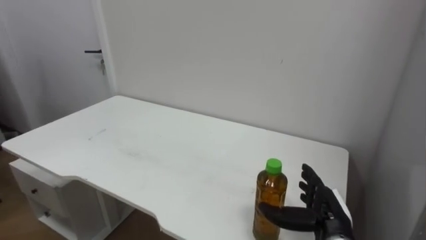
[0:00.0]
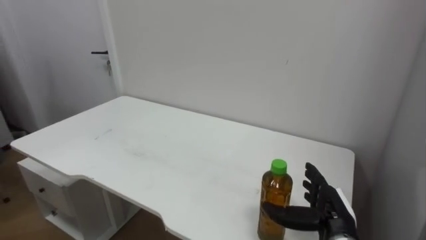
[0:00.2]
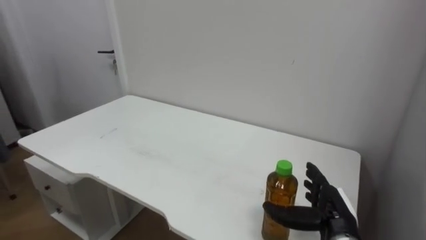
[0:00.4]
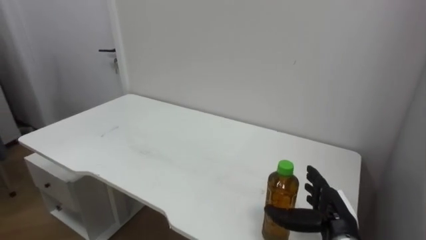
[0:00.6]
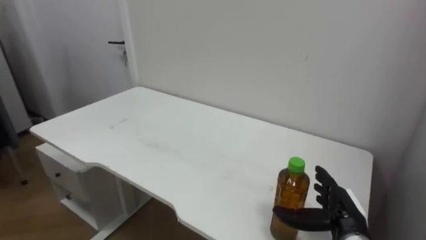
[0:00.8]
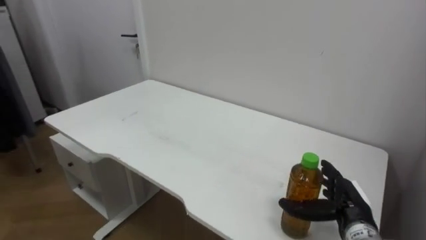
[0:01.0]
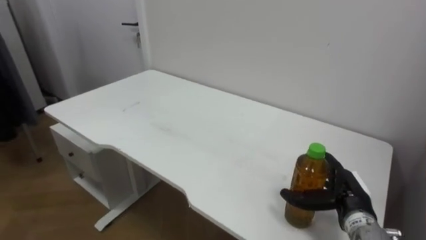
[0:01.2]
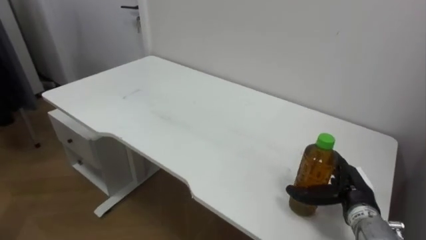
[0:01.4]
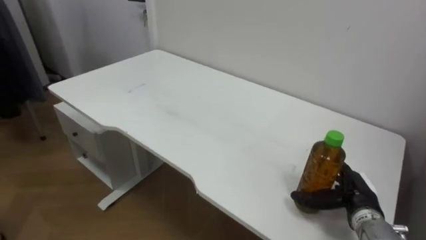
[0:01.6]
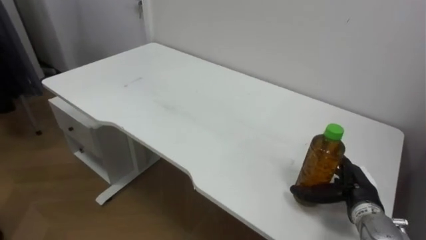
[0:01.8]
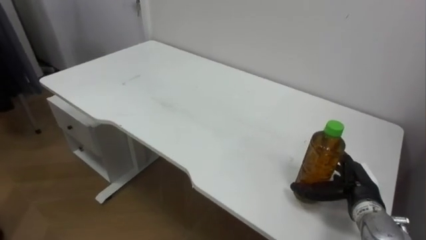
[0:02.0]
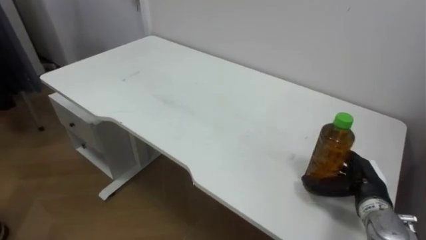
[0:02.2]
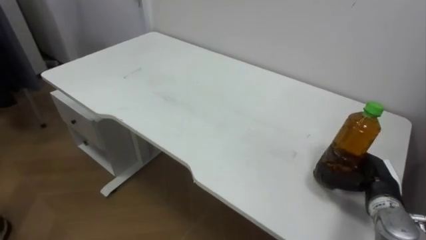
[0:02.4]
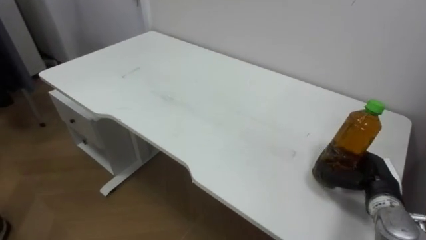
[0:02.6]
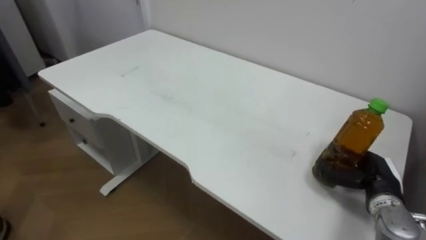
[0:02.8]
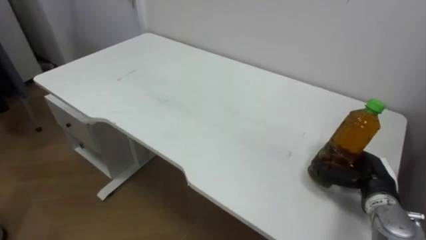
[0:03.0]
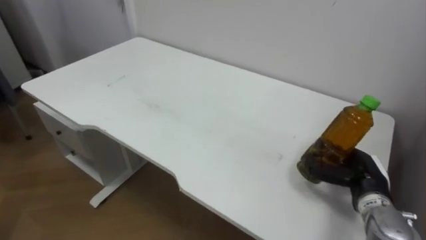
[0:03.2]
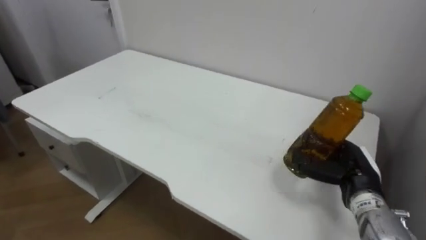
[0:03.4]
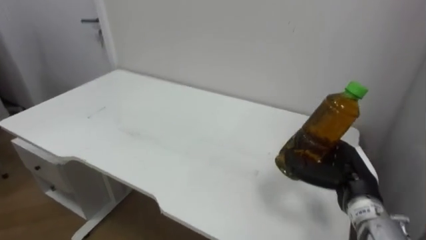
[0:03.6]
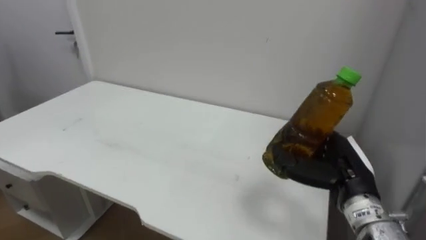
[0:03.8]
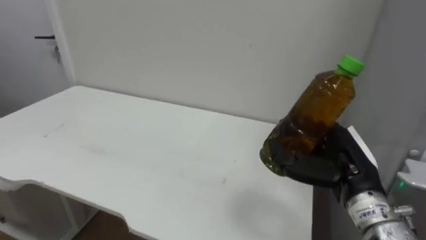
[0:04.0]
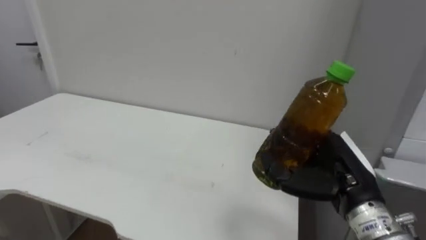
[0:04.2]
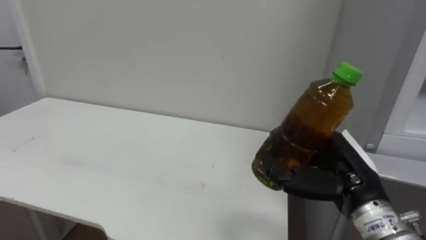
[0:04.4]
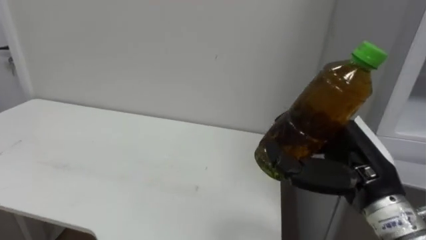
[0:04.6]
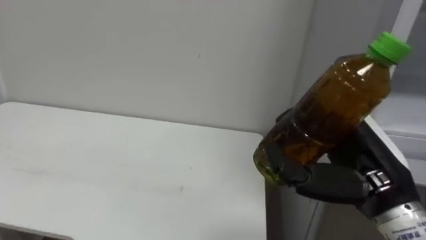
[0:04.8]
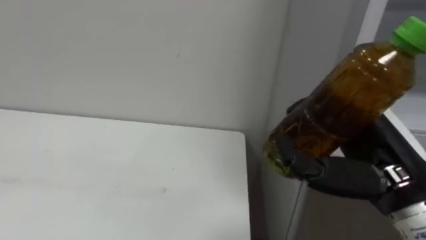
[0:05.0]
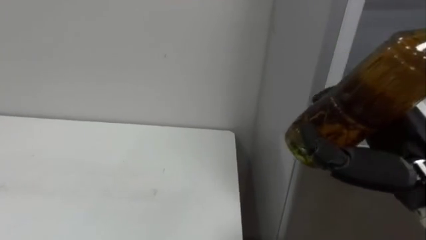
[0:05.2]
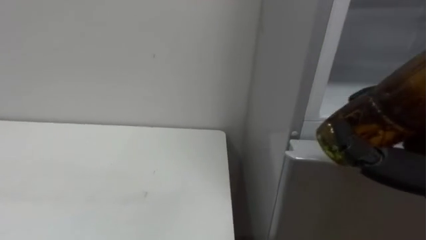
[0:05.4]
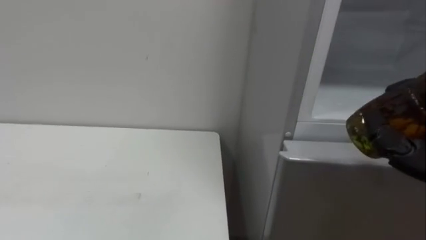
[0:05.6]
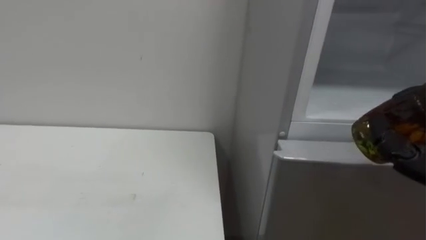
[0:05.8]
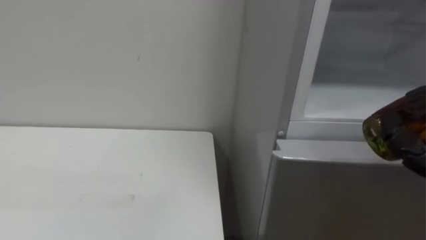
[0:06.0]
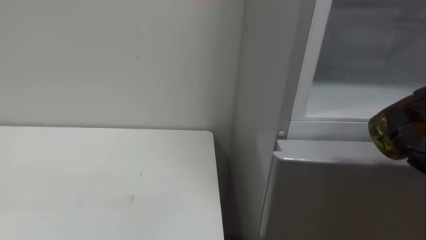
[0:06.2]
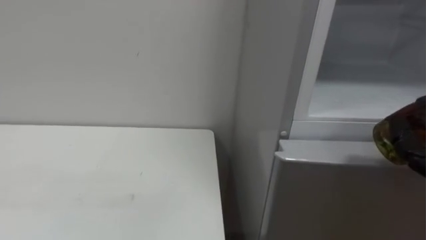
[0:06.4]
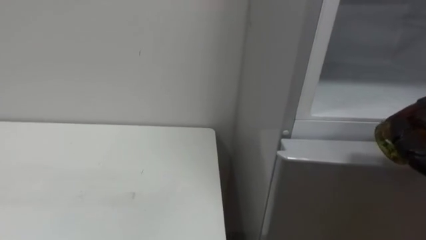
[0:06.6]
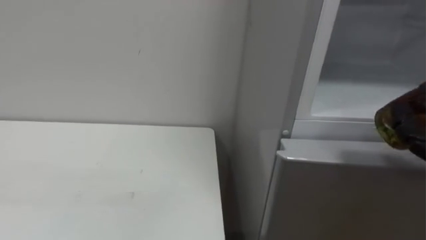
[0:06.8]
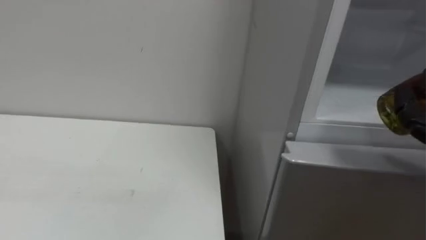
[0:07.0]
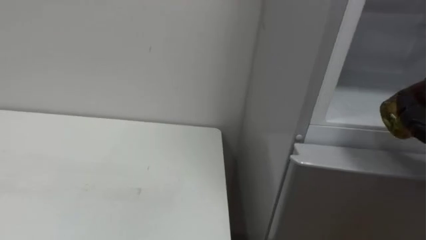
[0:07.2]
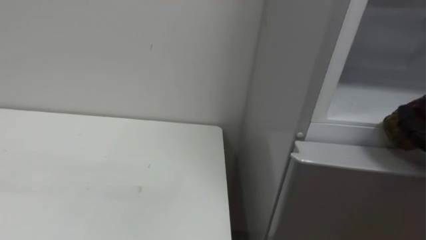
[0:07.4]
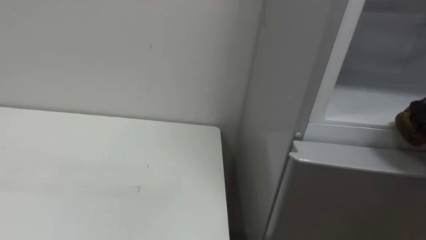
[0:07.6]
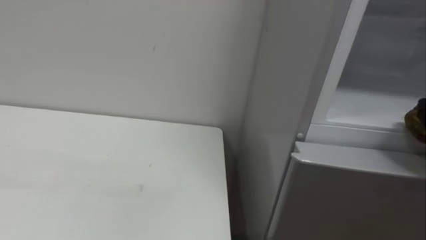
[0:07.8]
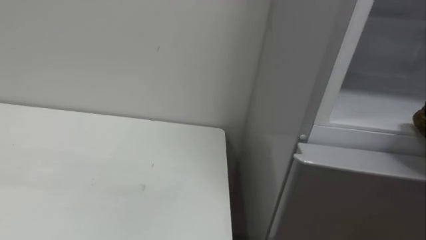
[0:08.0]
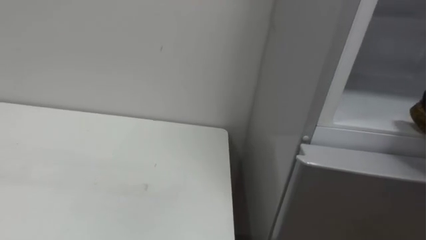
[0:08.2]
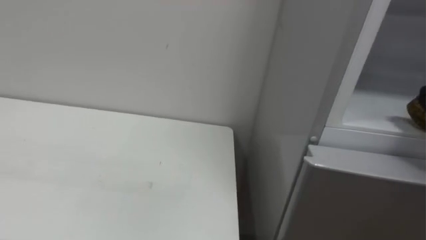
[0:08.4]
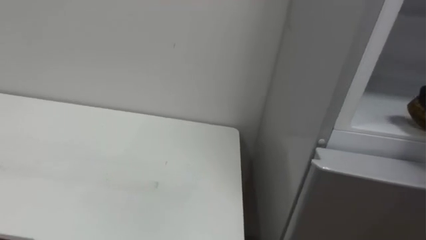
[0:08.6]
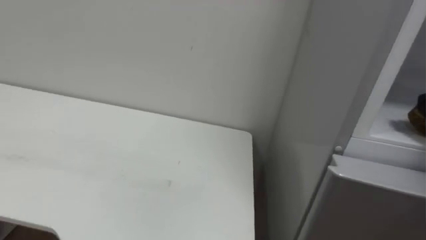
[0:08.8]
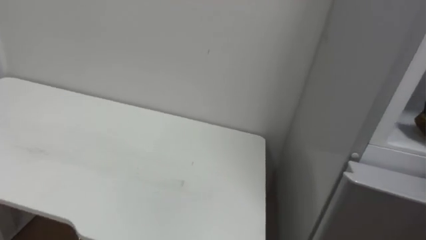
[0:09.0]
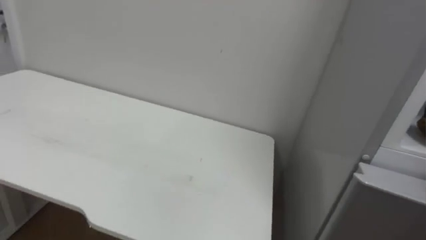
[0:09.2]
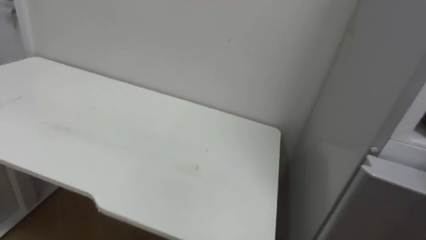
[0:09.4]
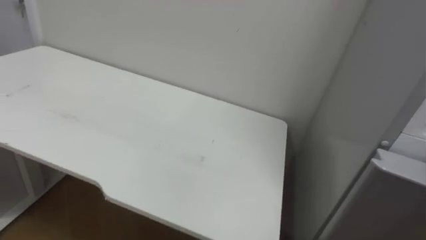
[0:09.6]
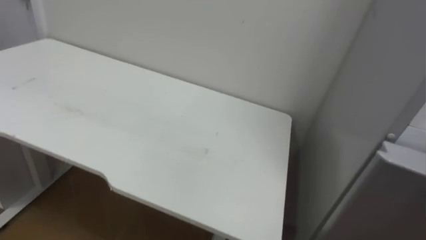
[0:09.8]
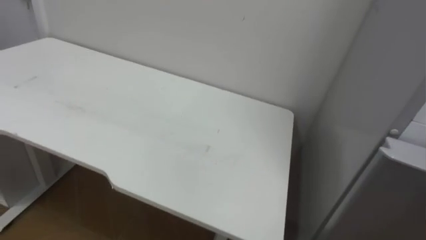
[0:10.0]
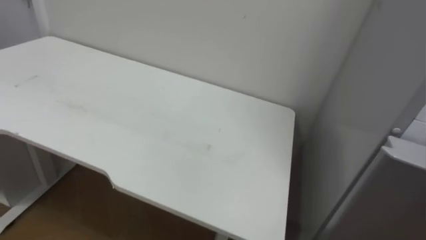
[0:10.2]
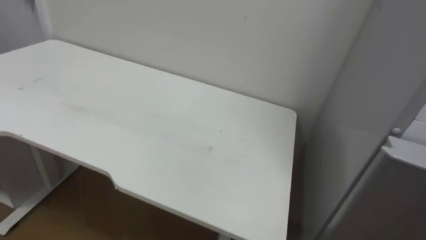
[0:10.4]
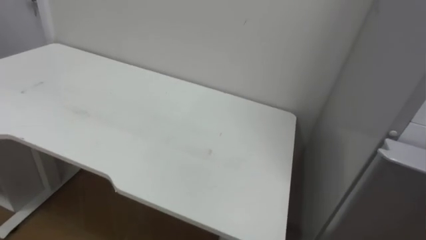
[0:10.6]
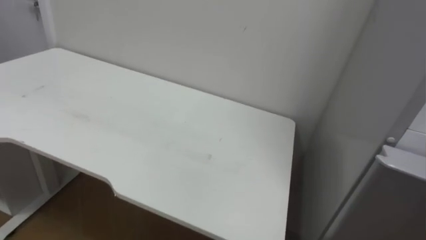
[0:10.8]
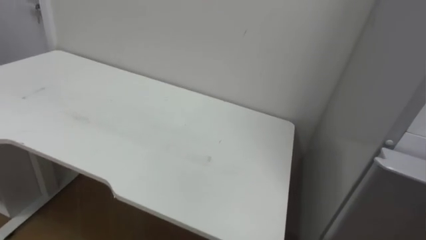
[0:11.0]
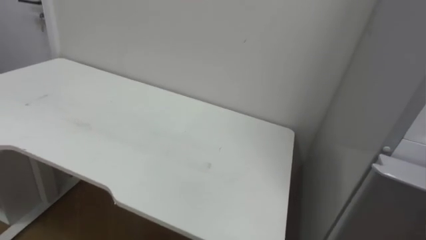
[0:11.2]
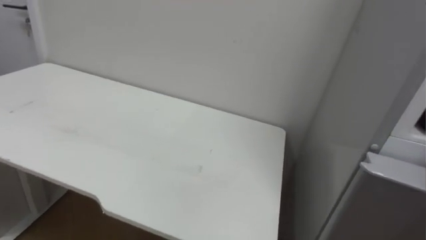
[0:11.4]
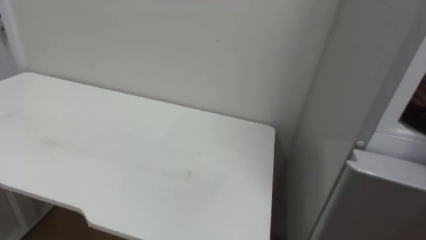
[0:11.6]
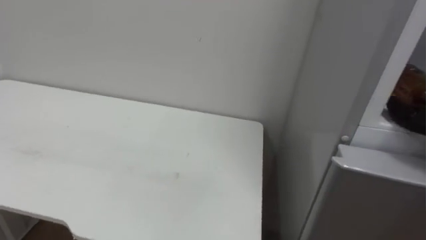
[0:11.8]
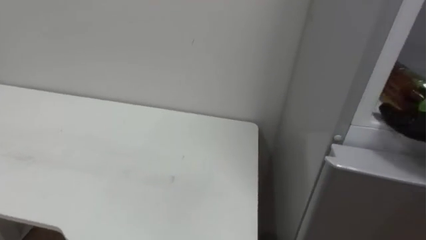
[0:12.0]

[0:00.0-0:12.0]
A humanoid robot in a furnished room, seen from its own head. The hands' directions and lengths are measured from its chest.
Task of the whole recording: Open the upper refrigerator door, put the drink from the table into the refrigerator, and then close the refrigerator door.
0:00.0 to 0:01.6: The right hand travels to the right by roughly 5 cm.
0:01.6 to 0:03.0: The right hand closes up.
0:03.0 to 0:04.4: The right hand shifts some 15 cm upward, to the left and backward.

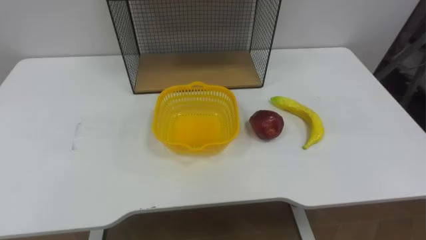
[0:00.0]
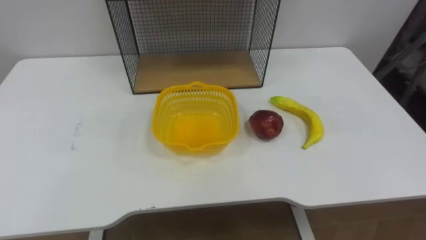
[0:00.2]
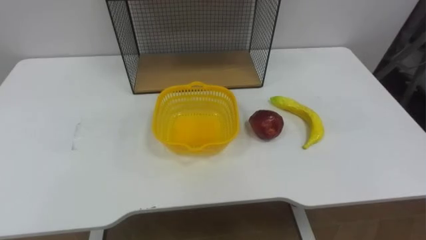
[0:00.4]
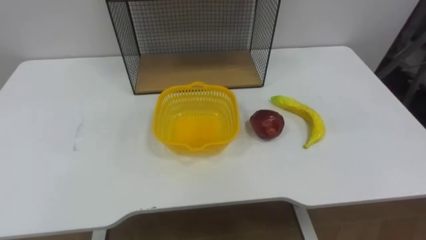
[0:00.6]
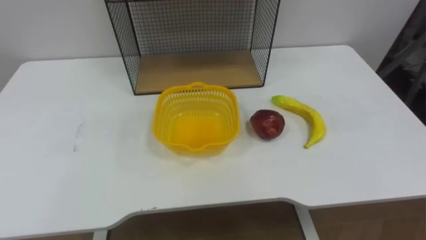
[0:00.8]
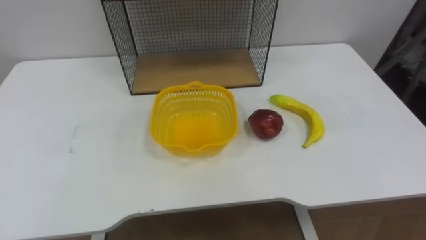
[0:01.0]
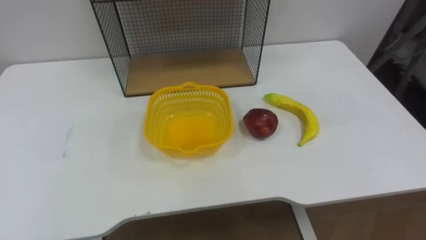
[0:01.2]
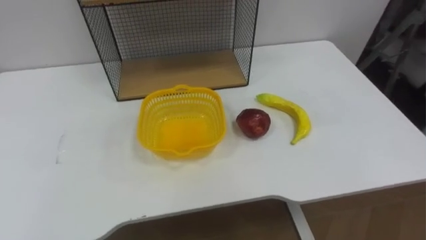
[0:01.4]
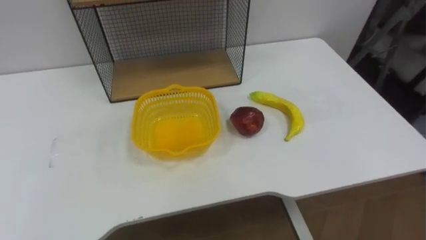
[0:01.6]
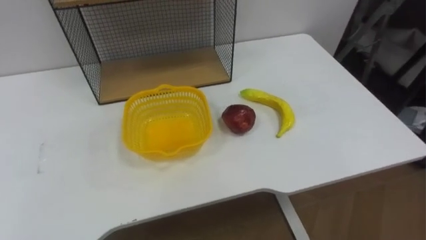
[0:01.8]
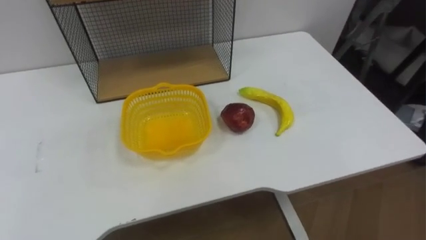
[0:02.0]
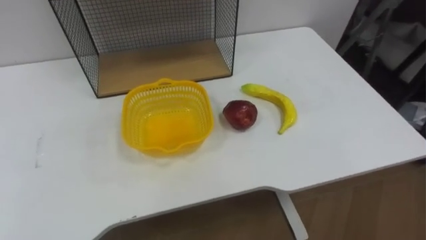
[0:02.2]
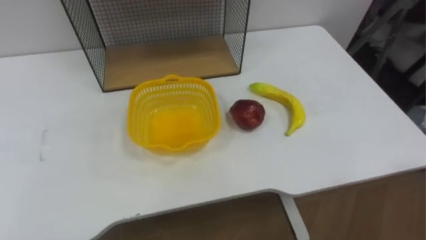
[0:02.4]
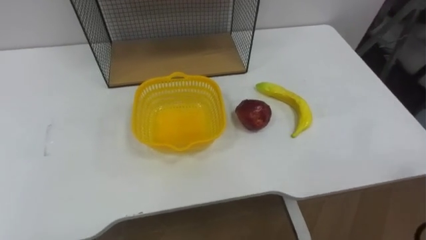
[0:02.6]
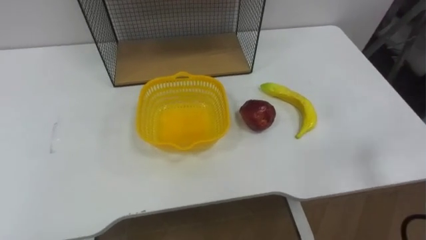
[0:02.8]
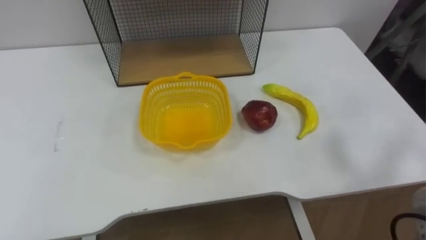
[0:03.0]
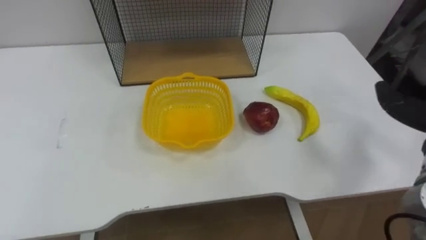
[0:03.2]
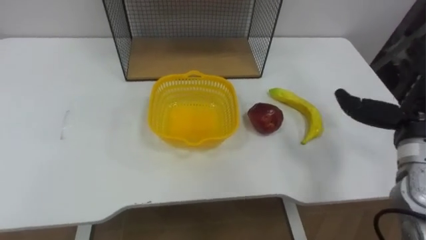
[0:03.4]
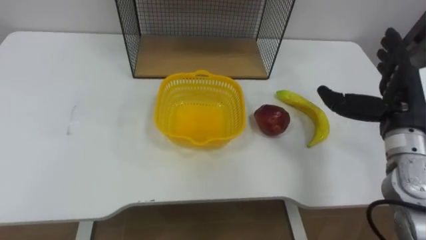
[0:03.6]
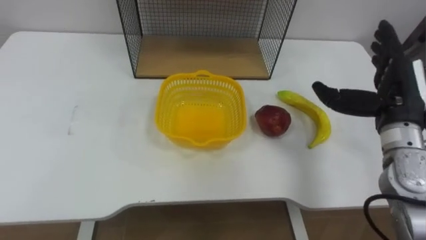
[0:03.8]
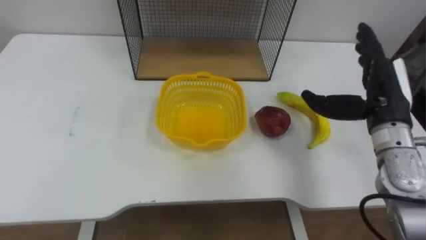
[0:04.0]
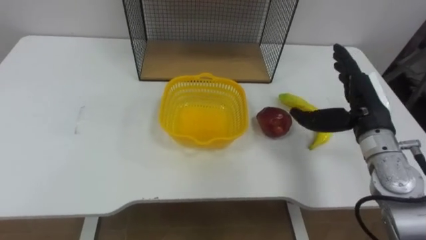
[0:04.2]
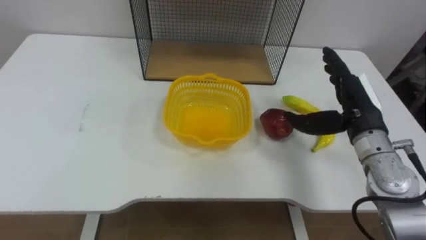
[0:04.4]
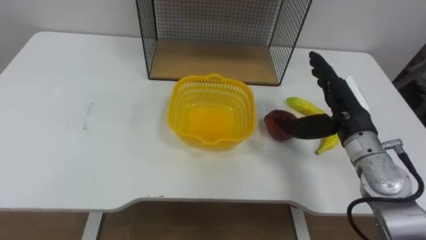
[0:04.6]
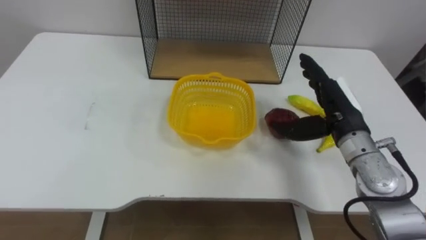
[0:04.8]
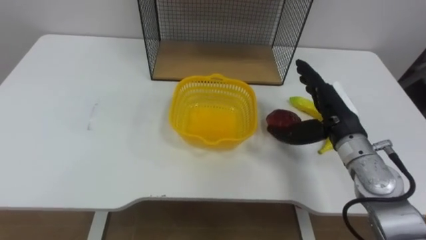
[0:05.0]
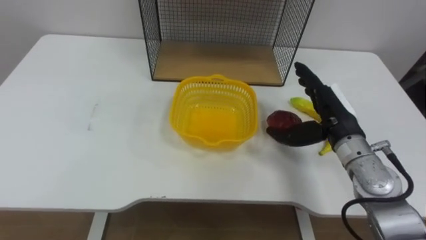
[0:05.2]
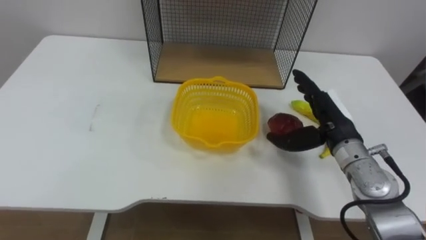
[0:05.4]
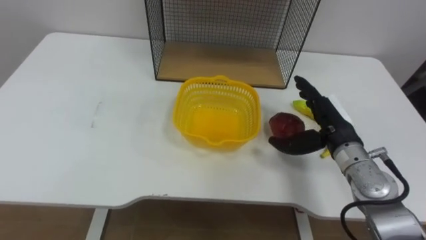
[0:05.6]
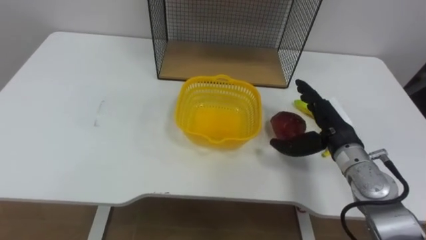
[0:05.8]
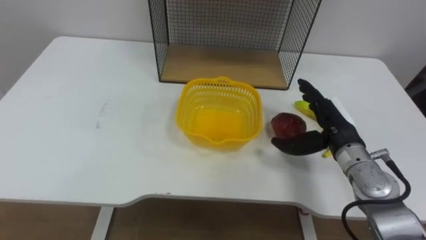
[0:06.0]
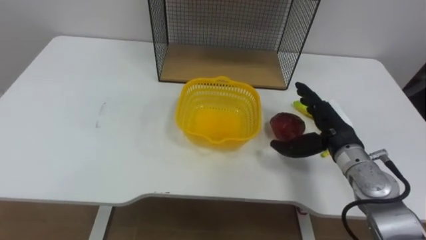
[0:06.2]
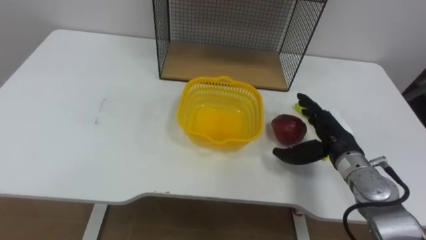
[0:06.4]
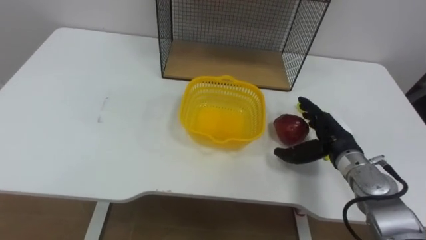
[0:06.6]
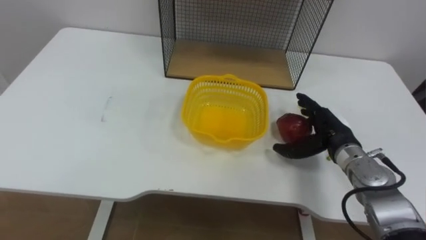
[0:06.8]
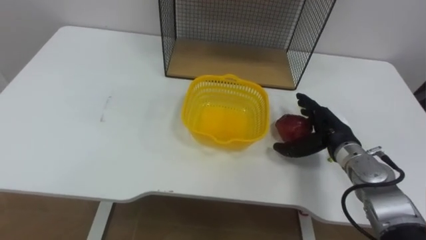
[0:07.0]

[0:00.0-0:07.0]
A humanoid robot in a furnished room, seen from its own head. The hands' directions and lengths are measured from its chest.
Task of the whole recording: Put the fruit on the table into the basket, then place the basket on the shelf.
0:04.2 to 0:05.6: The right hand ends up about 5 cm from where it was.
